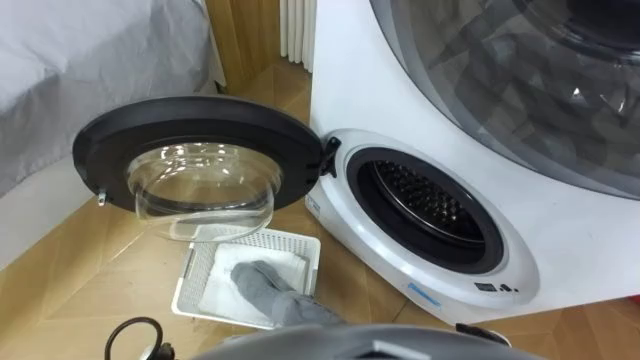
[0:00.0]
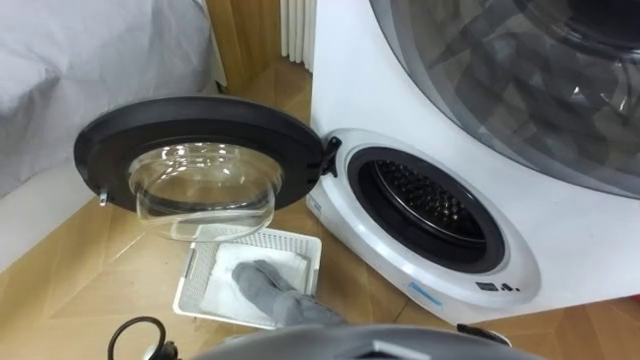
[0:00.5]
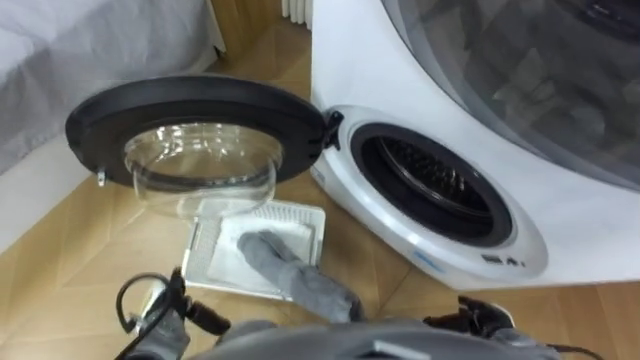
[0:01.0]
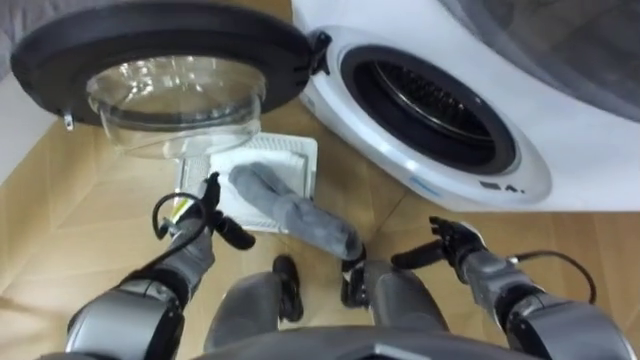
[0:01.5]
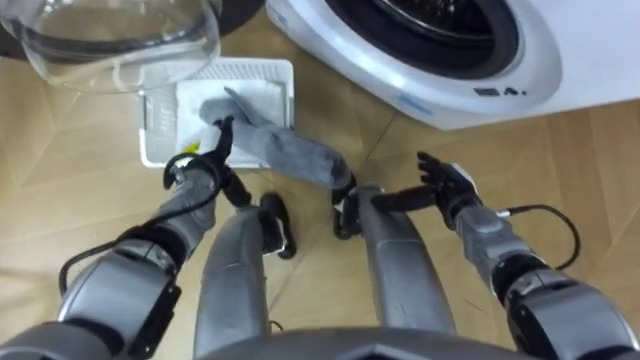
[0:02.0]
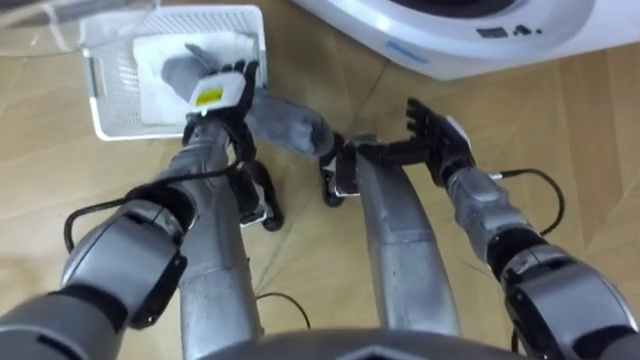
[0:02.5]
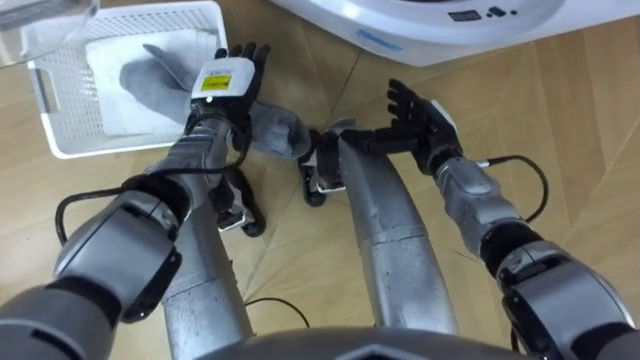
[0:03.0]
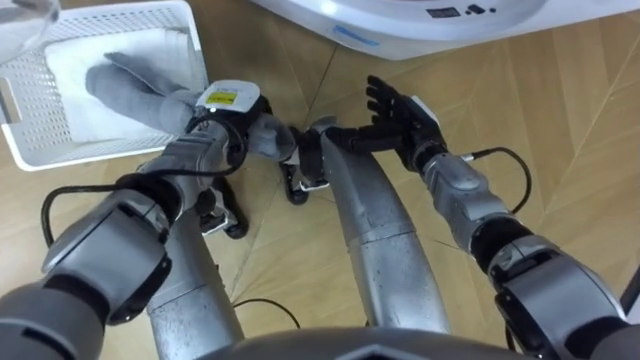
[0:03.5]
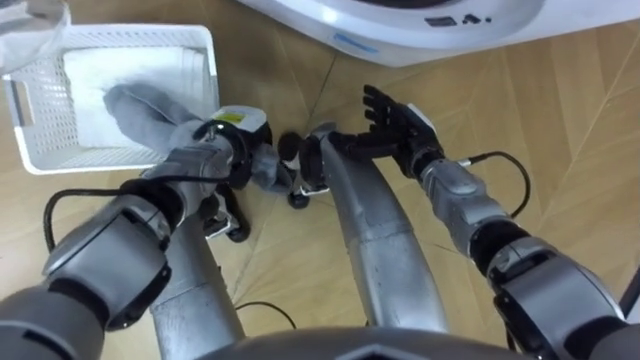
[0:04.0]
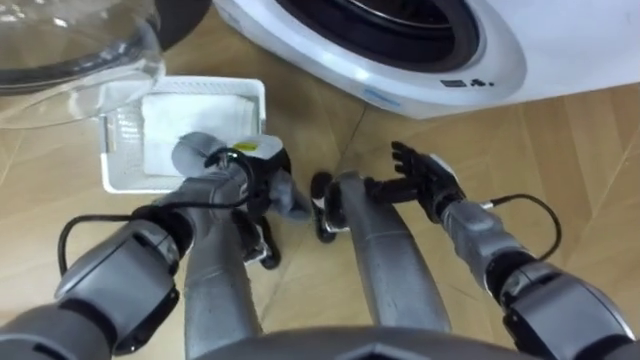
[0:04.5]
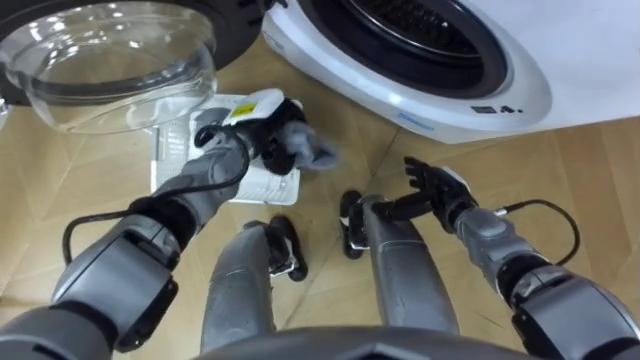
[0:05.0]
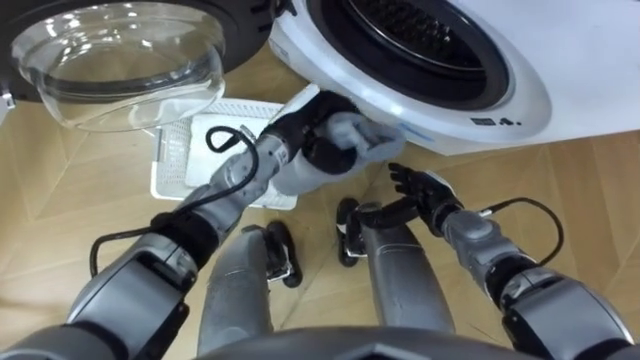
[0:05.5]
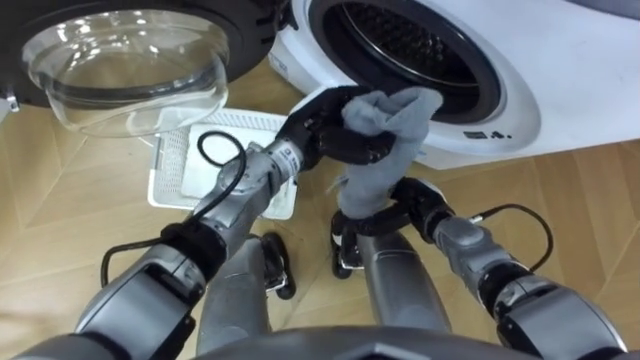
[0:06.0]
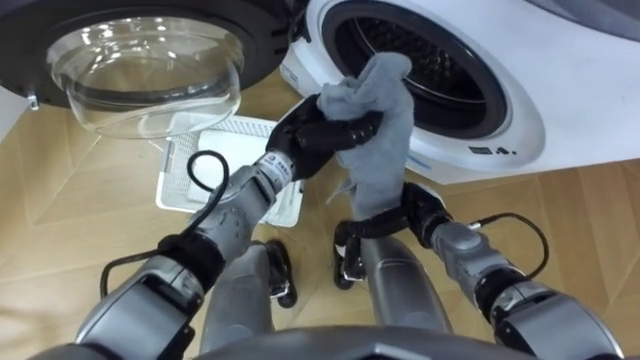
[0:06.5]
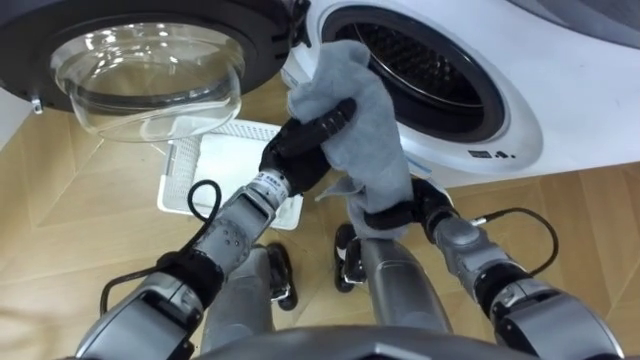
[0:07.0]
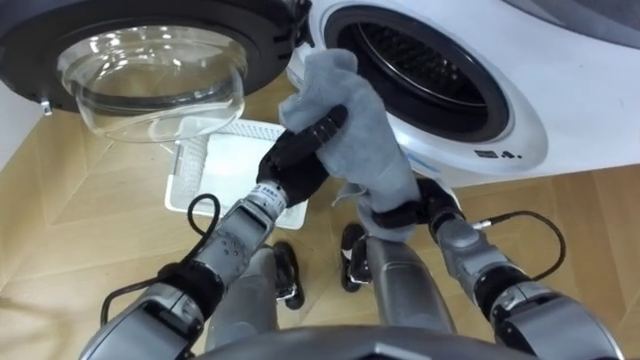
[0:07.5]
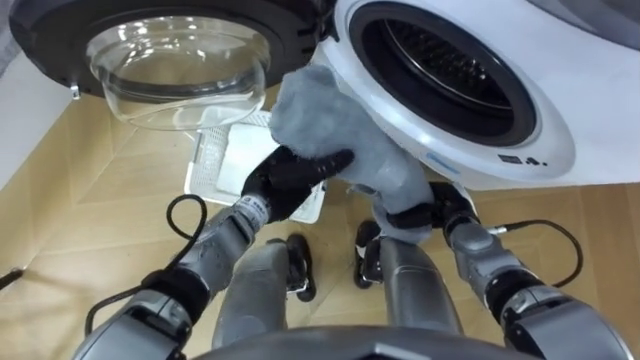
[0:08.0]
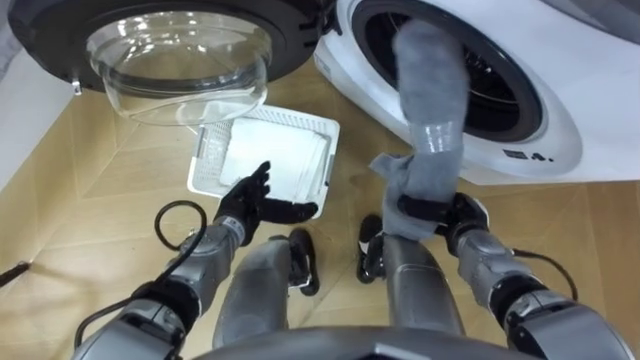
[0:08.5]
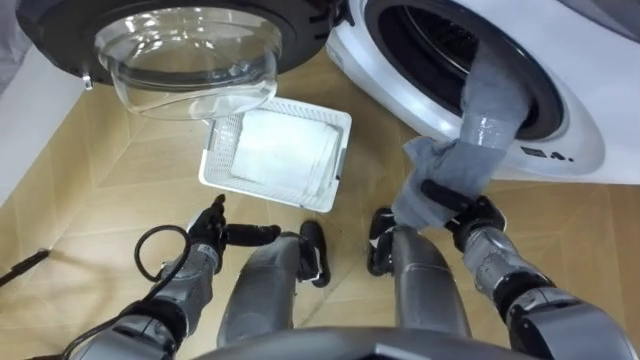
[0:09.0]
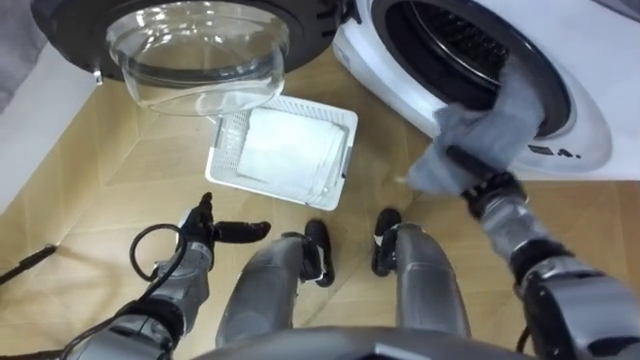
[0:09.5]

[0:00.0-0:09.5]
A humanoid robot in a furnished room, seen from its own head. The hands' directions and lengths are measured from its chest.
Task of the whole recording: Take the towel from the basket and put it into the washing machine.
0:02.0 to 0:04.0: The right hand is displaced to the left, upward and forward by some 10 cm. The left hand moves to the right, about 5 cm, travels upward and back again, about 10 cm each way, and closes its fingers.
0:04.0 to 0:05.5: The left hand shifts about 10 cm to the right and upward. The right hand goes roughly 10 cm downward and backward.
0:05.5 to 0:07.5: The left hand changes place by roughly 5 cm. The right hand closes.
0:07.5 to 0:09.5: The right hand moves to the right, roughly 10 cm, while the left hand moves to the left, downward and backward, some 20 cm, and opens up.

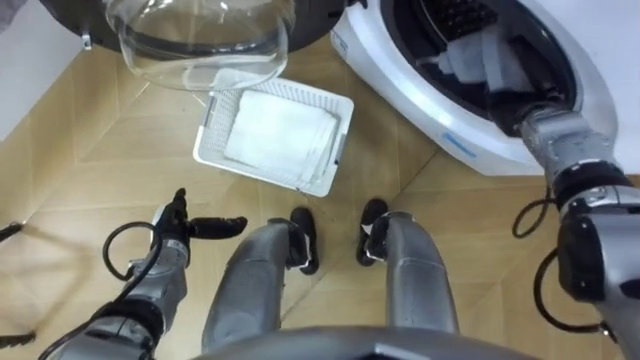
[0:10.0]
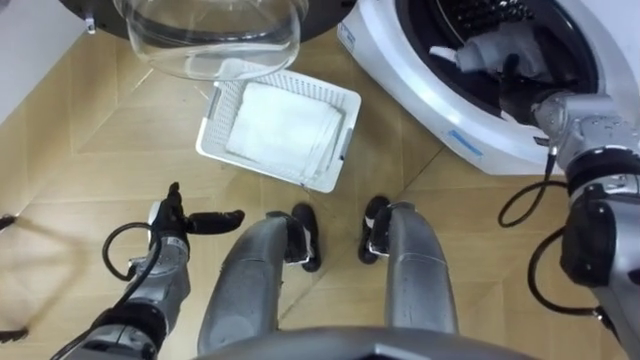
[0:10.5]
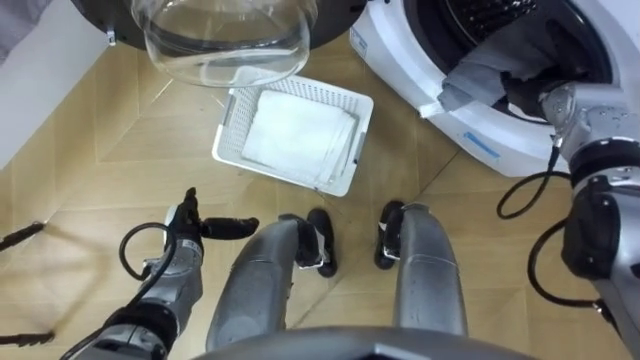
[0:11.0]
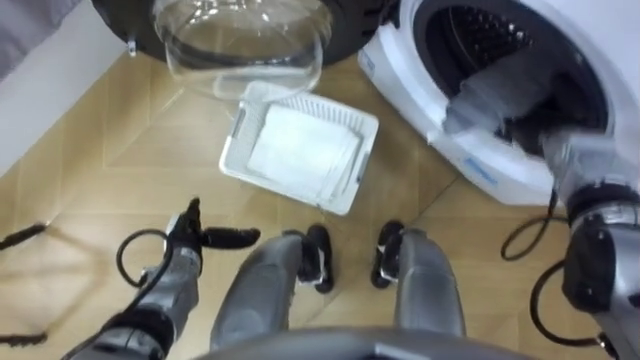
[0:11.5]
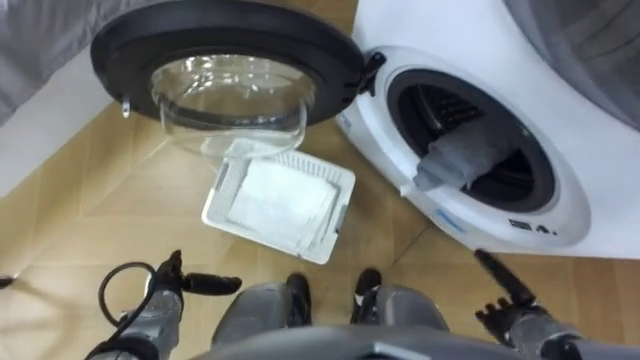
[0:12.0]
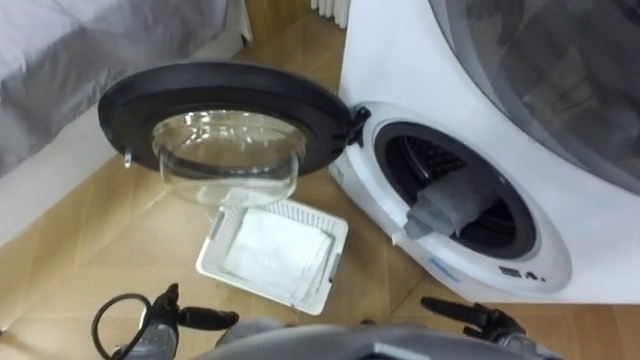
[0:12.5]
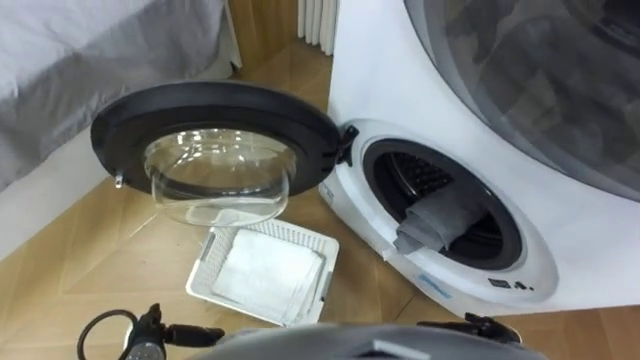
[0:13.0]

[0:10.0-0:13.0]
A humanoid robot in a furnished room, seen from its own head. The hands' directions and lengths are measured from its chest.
Task of the whole recording: Take the towel from the basket and put it into the washing machine.
0:10.0 to 0:11.5: The right hand moves some 5 cm, and opens.
0:11.5 to 0:13.0: The left hand shifts roughly 15 cm backward. Meanwhile the right hand moves backward and downward, approximately 35 cm.

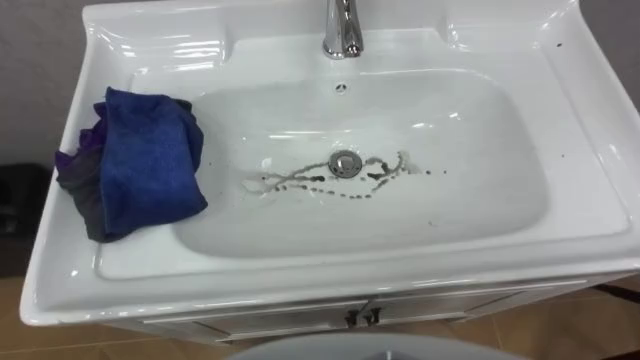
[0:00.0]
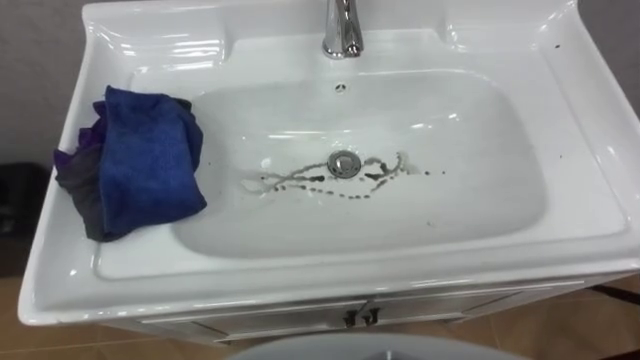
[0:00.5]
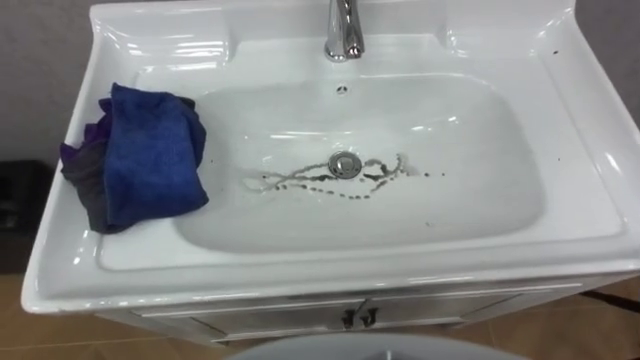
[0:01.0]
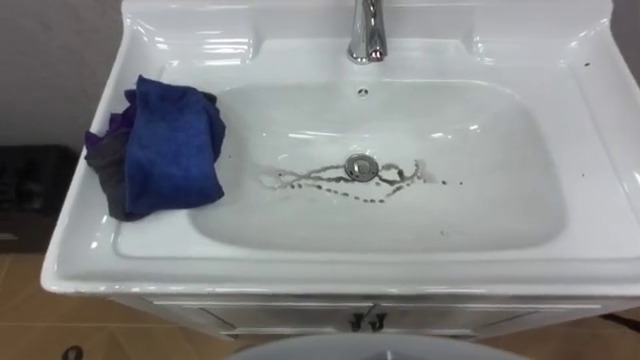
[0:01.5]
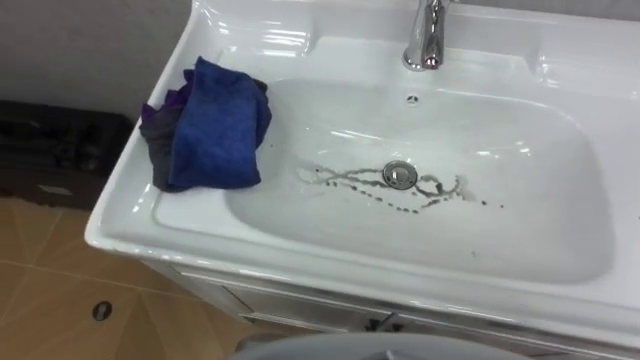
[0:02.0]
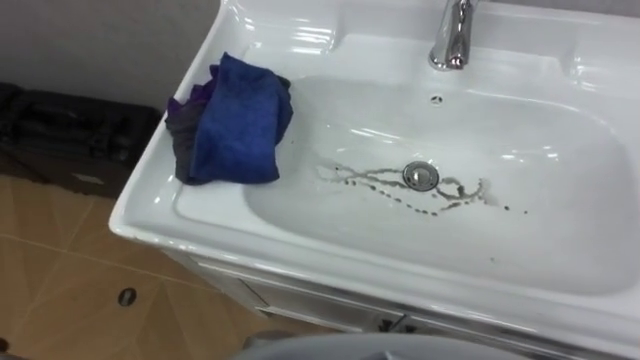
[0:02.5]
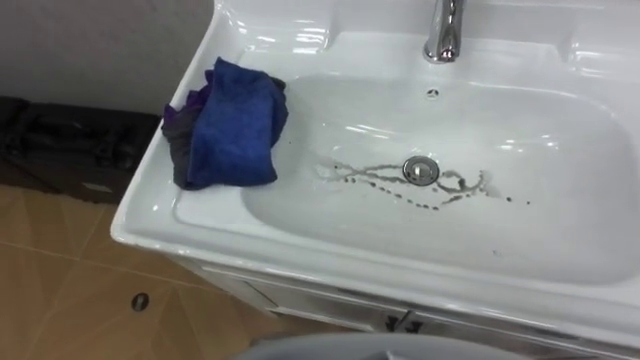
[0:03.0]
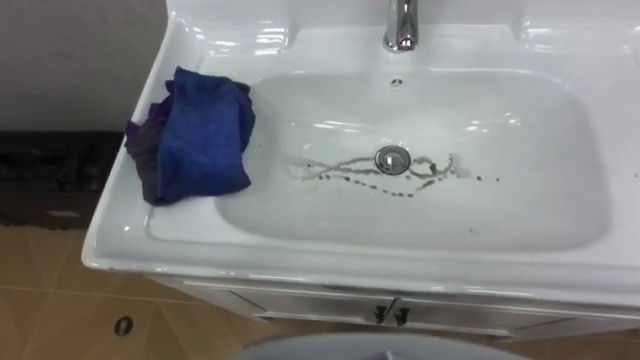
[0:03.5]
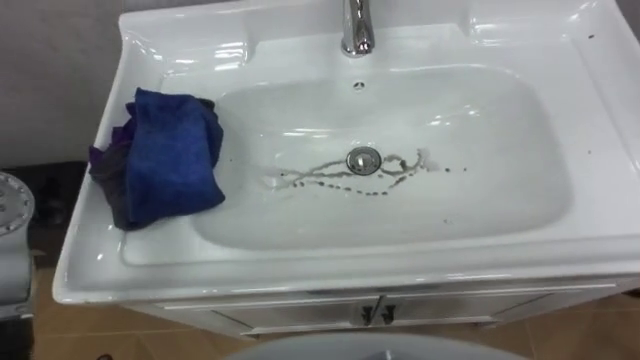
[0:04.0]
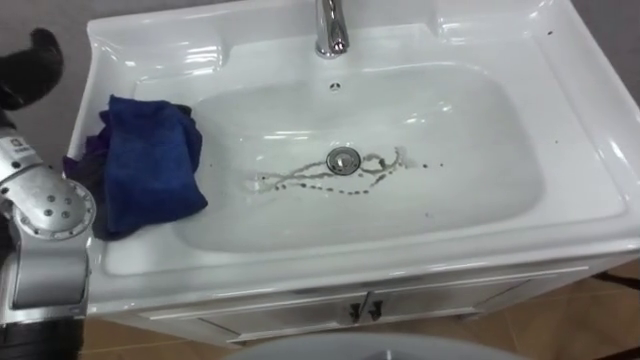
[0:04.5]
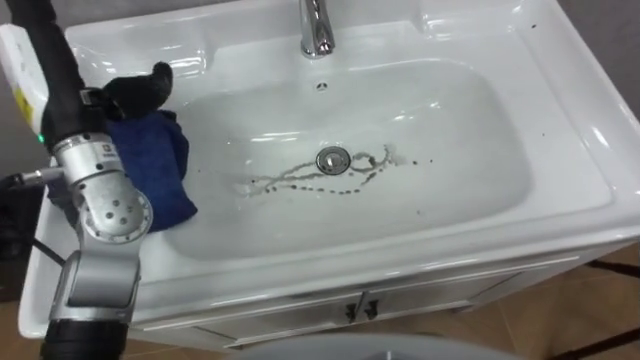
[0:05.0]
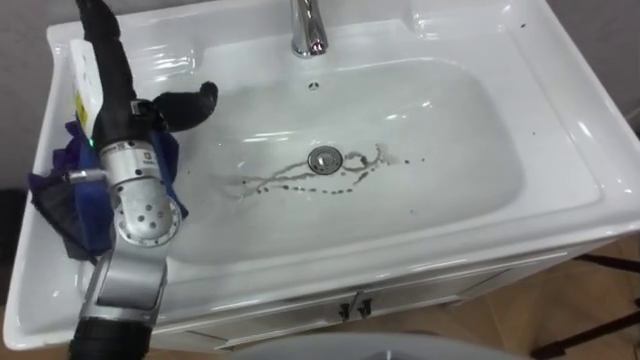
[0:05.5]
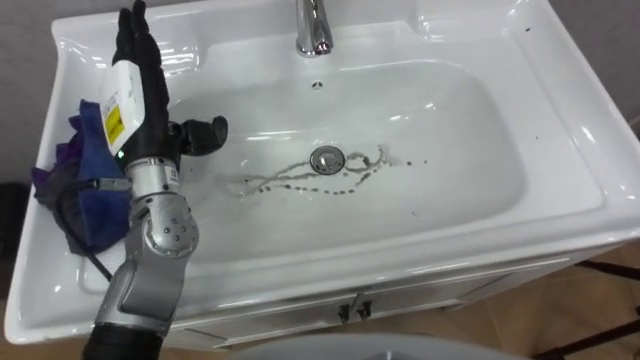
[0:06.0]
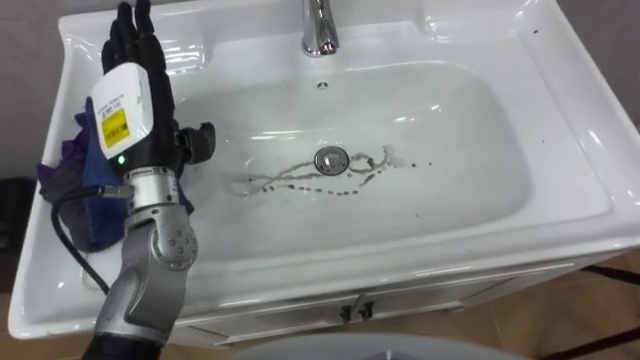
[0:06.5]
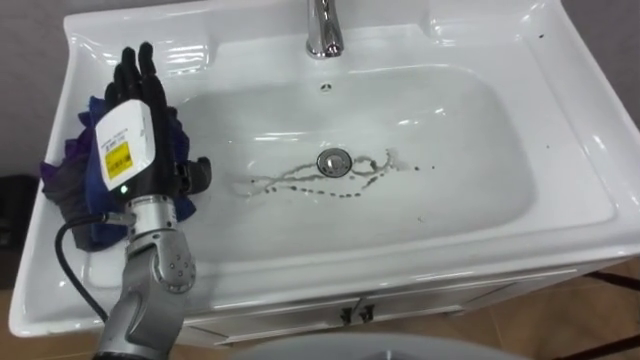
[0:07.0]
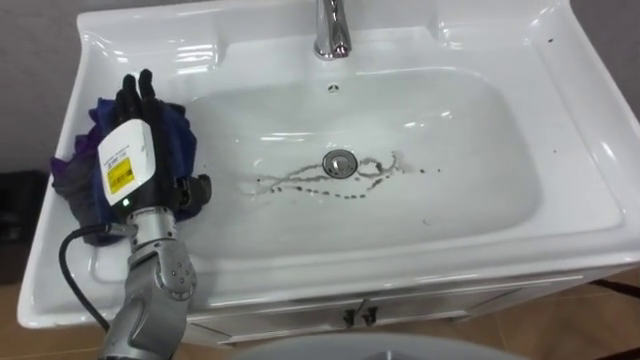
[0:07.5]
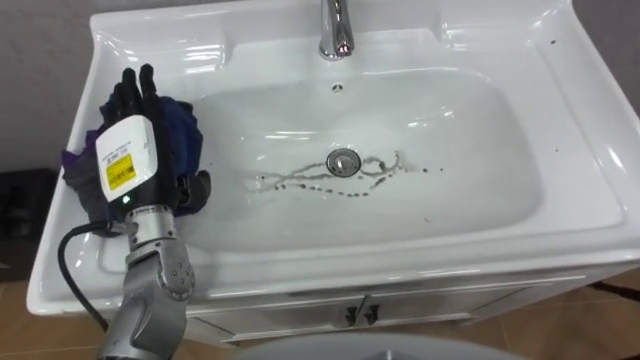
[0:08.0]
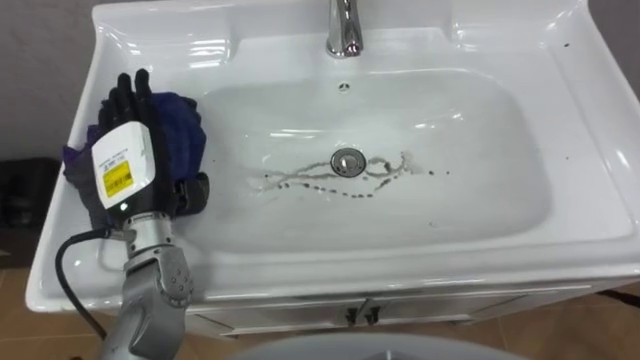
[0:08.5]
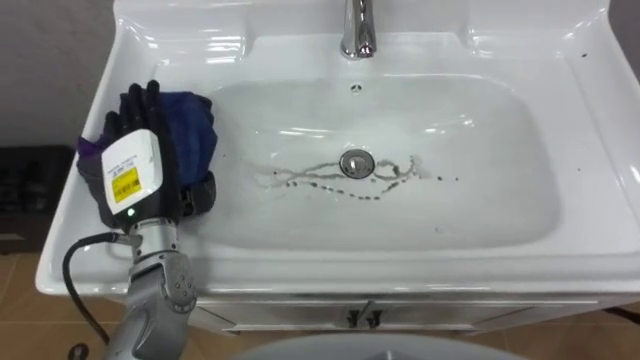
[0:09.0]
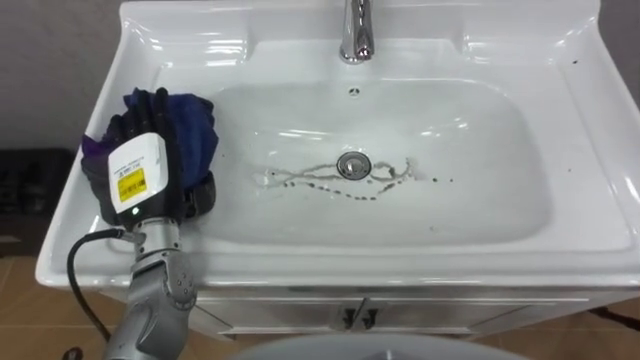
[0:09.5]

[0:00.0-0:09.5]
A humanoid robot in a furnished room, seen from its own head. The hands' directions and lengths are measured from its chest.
Task of the whole recording: Use the cloth on the right to wipe away the black stain in the sink.
0:05.5 to 0:07.5: The left hand travels downward by some 10 cm.
